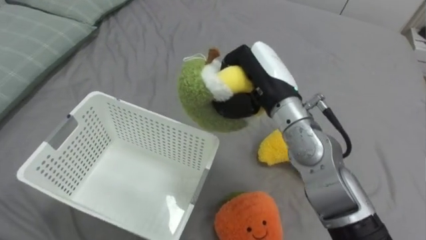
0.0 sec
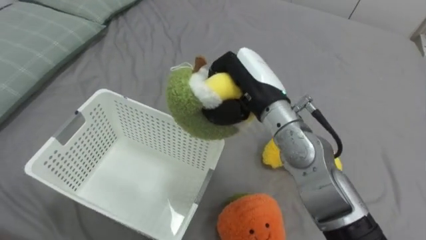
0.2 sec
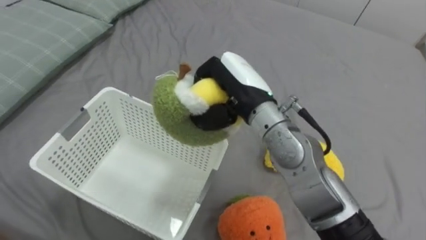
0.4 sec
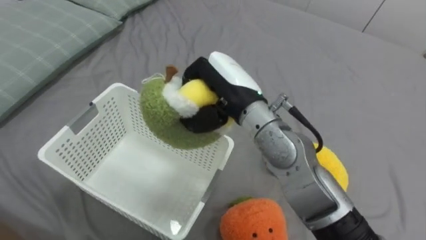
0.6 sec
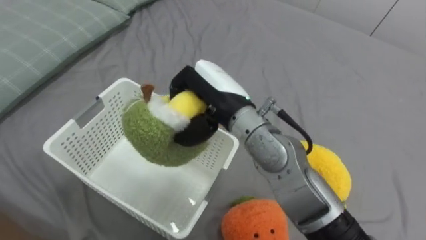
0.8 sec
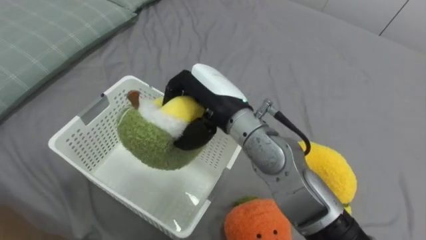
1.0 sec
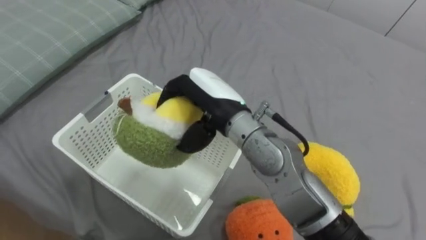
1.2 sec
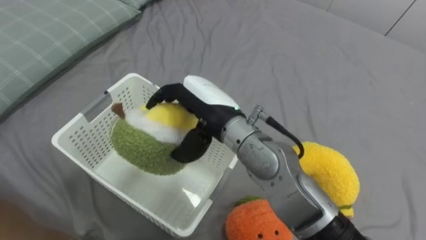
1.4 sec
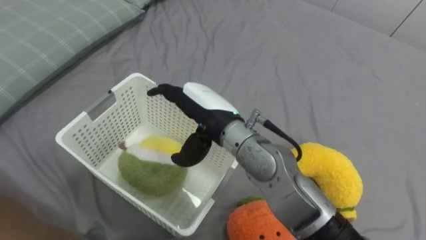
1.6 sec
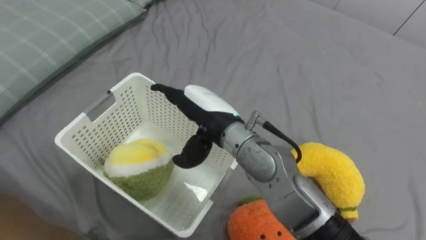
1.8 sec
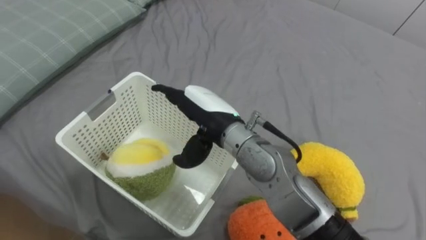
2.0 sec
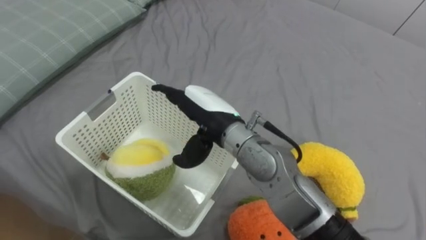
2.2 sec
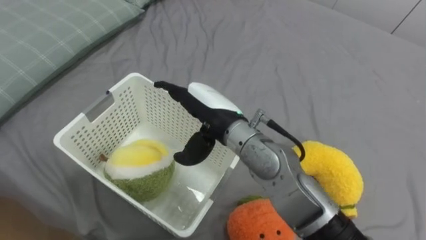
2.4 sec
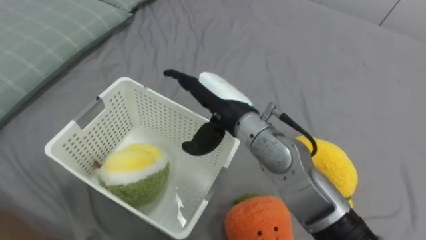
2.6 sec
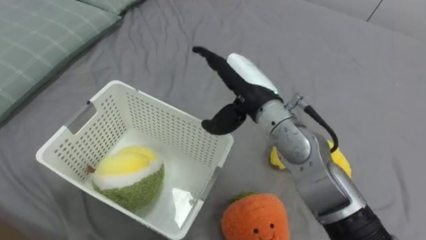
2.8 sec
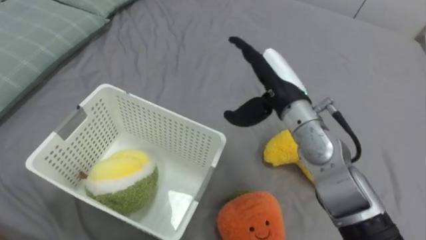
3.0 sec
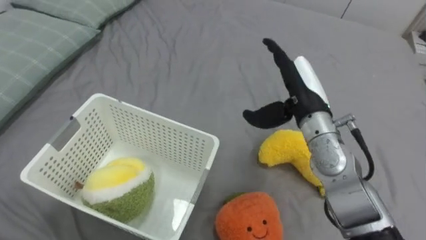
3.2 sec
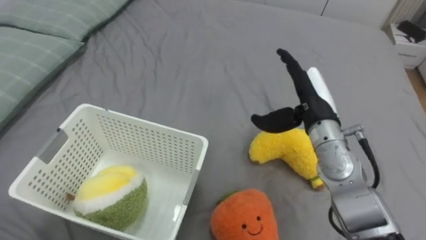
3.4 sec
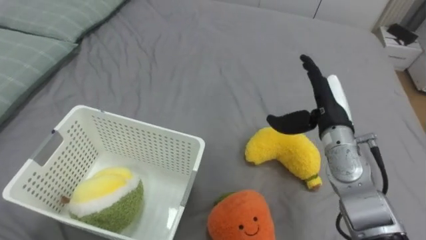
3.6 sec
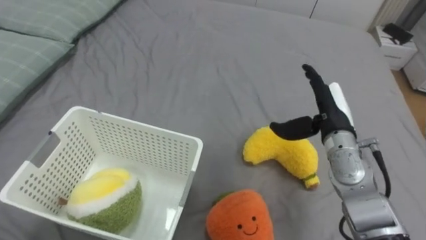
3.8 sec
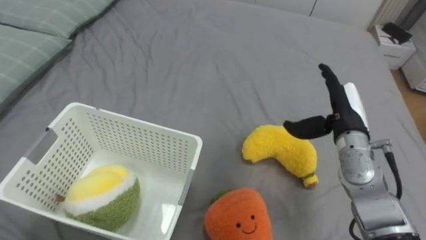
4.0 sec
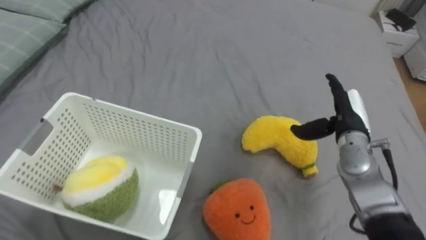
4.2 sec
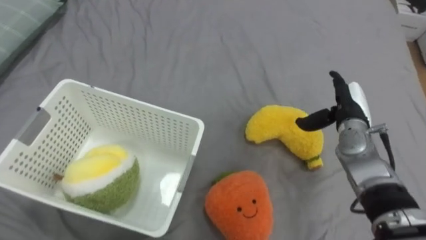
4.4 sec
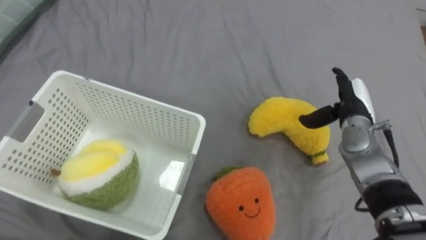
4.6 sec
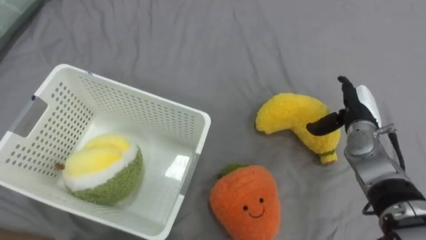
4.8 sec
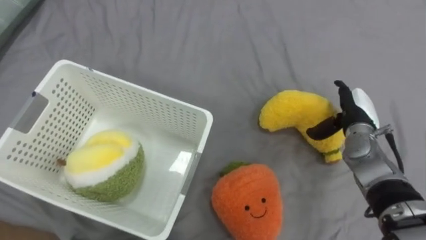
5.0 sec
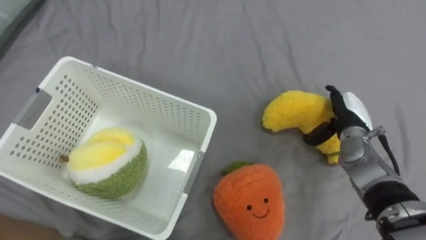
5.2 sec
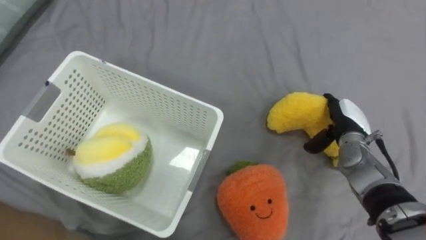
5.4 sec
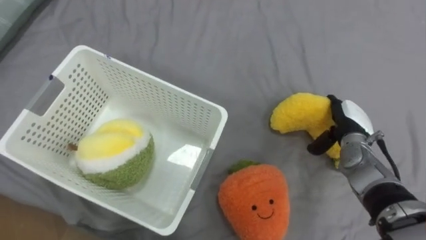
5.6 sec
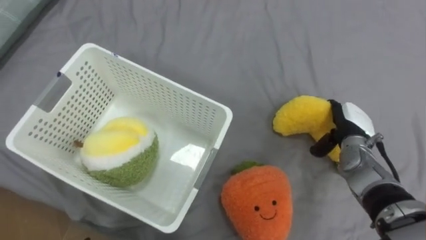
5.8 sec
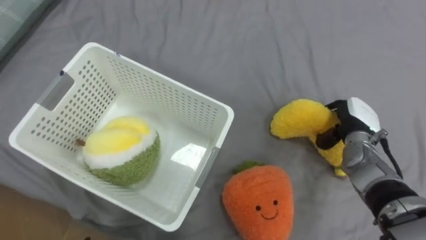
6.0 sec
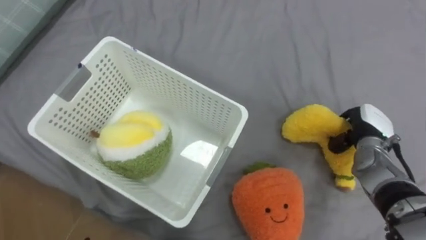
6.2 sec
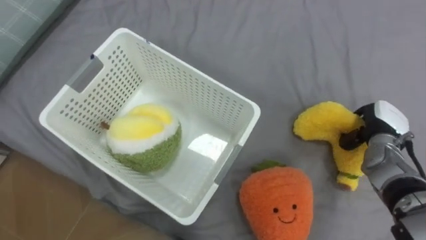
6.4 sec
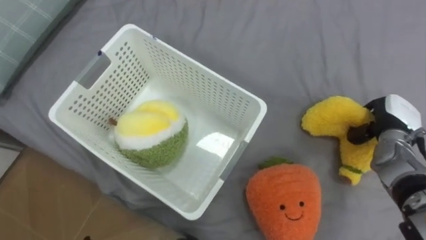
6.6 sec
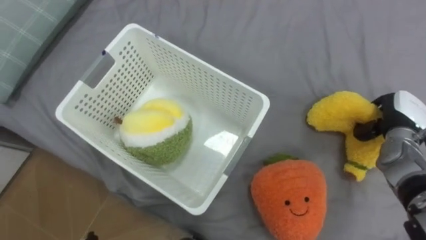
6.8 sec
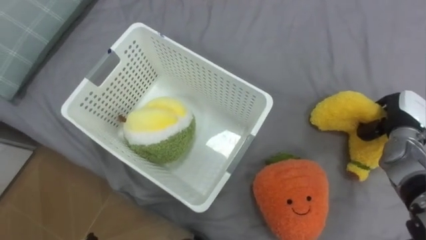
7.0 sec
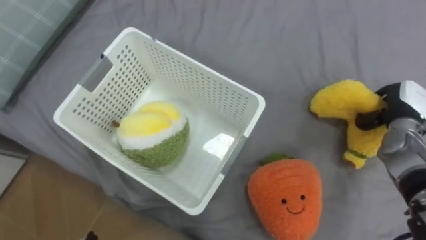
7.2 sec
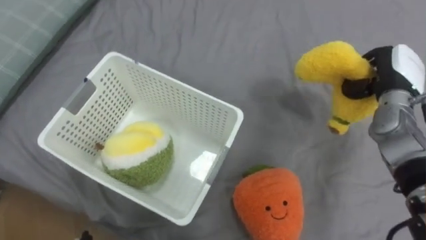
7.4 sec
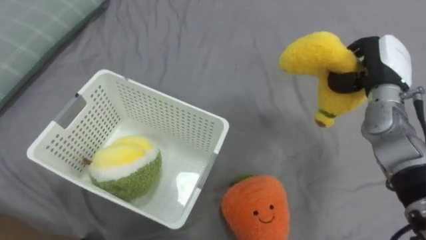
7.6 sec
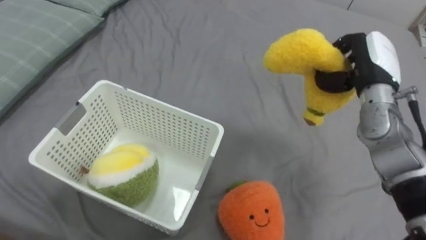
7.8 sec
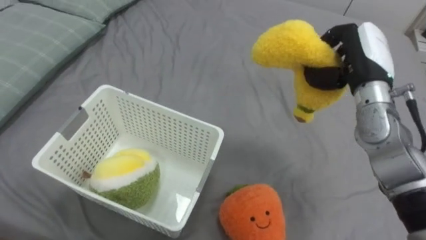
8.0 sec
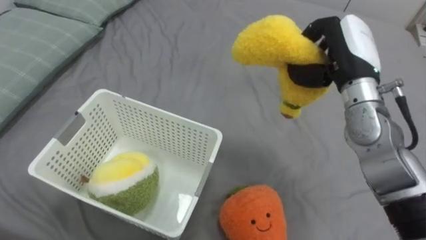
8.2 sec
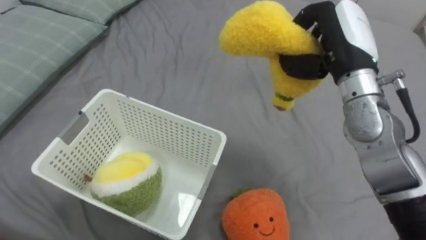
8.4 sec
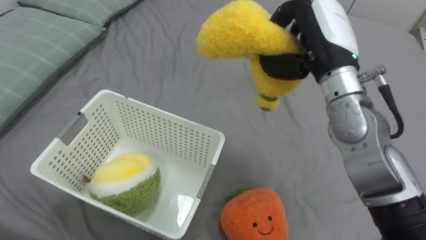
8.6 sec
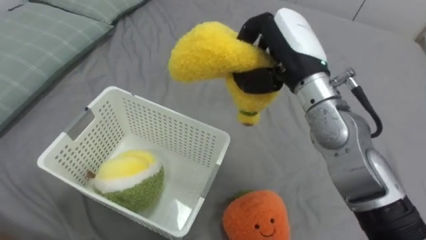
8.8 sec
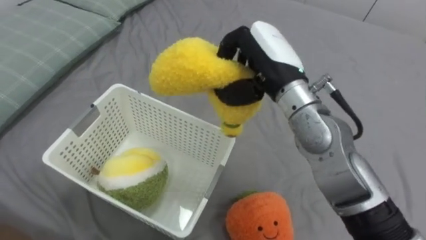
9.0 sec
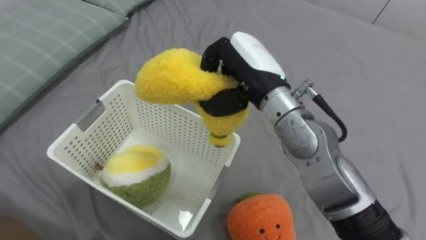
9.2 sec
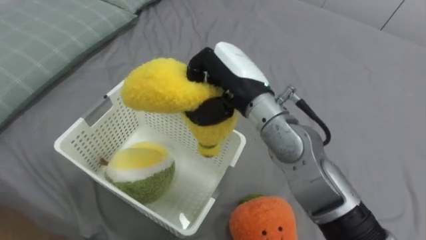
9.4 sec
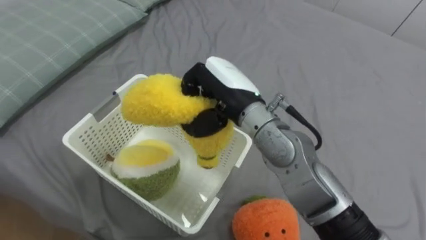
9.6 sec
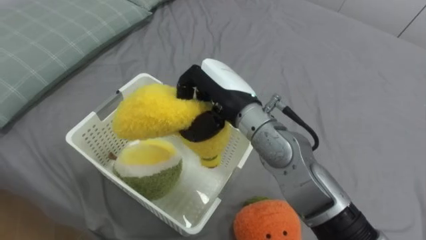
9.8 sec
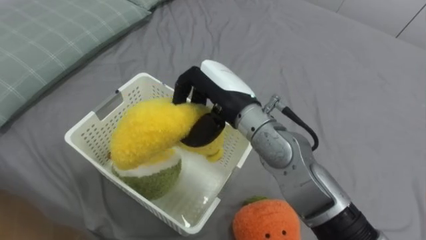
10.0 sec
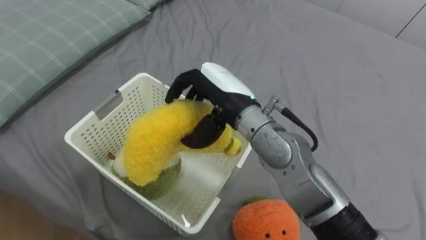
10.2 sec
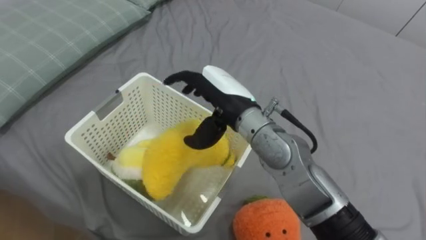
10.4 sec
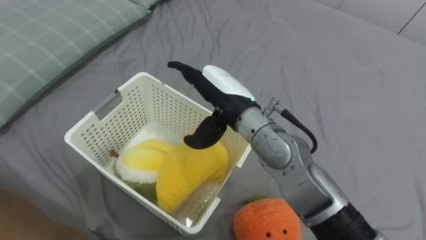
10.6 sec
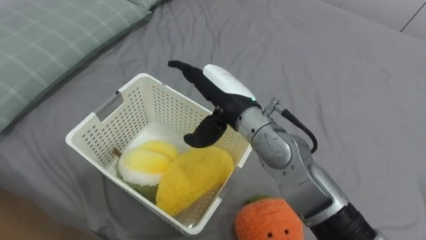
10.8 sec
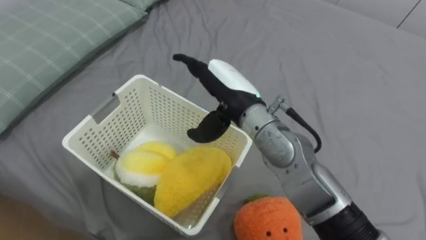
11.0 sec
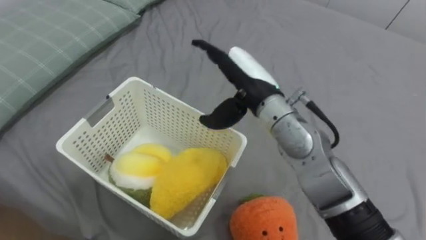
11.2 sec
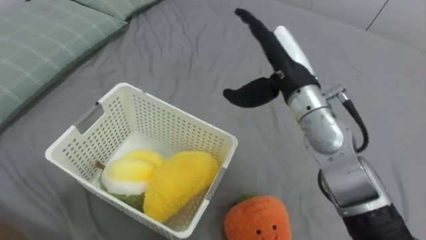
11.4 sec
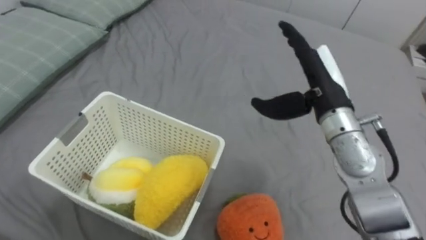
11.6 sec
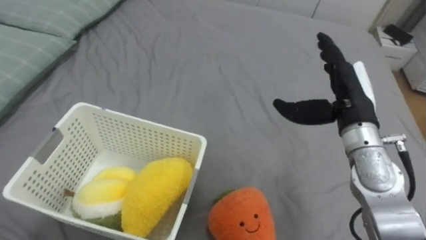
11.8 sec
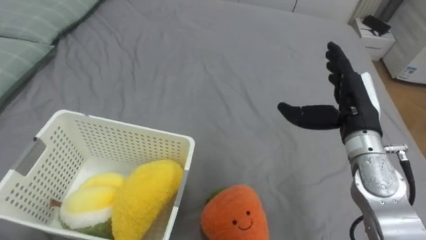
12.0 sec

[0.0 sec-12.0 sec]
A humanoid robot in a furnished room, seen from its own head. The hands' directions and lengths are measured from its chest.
Task of the whole recording: Put the toys on the bed into the basket on the left.
0.0 sec to 1.6 sec: The right hand travels to the left by approximately 10 cm, and opens its fingers.
1.6 sec to 3.0 sec: The right hand moves to the right, roughly 10 cm.
3.0 sec to 4.4 sec: The right hand is displaced to the right and downward by some 20 cm.
4.4 sec to 6.0 sec: The right hand closes its fingers.
6.0 sec to 7.6 sec: The right hand travels upward by about 10 cm, and closes up.
7.6 sec to 9.0 sec: The right hand moves to the left, approximately 20 cm.
9.0 sec to 10.4 sec: The right hand heads to the left and downward, covering some 10 cm, and opens up.
10.4 sec to 12.0 sec: The right hand goes some 20 cm to the right.

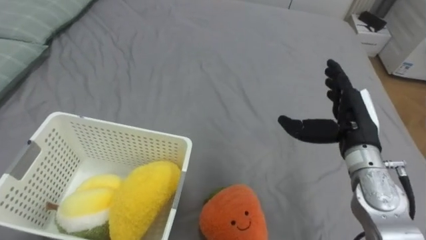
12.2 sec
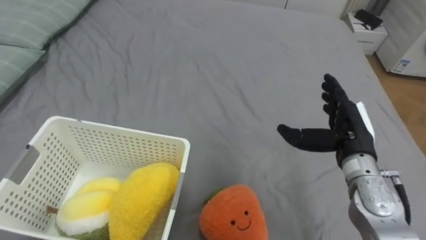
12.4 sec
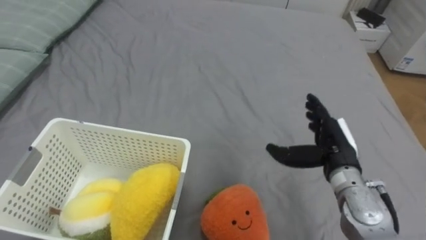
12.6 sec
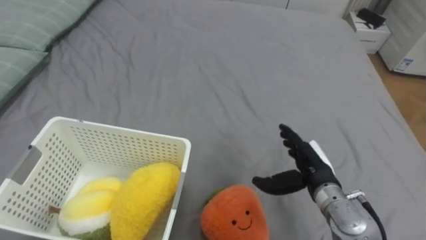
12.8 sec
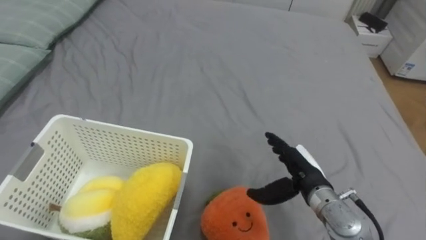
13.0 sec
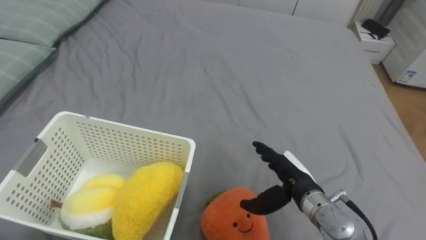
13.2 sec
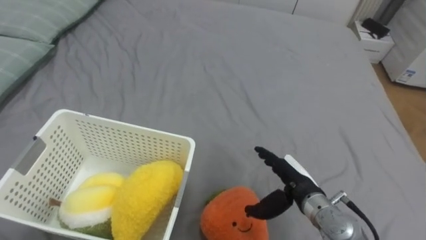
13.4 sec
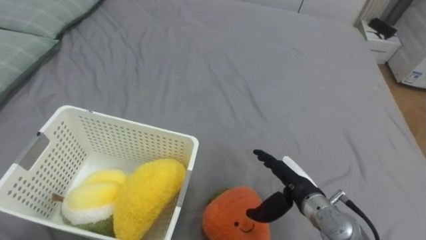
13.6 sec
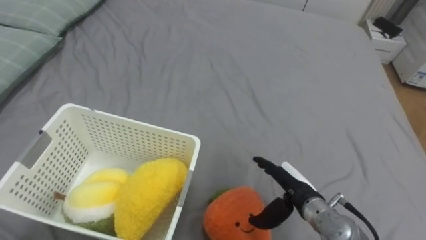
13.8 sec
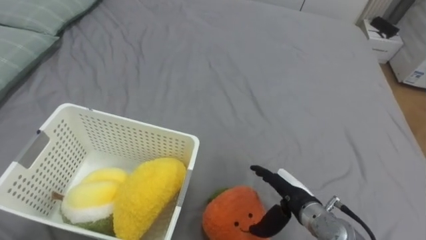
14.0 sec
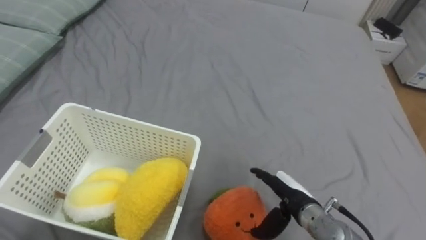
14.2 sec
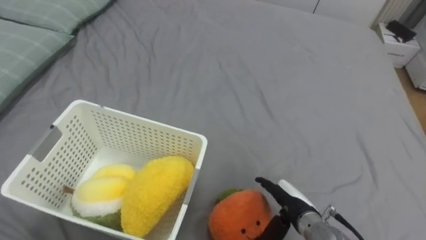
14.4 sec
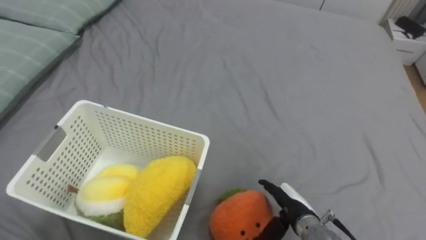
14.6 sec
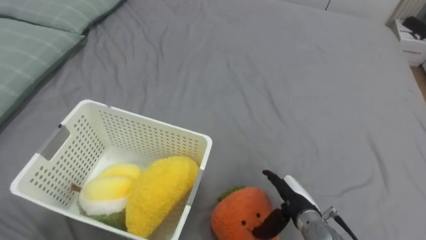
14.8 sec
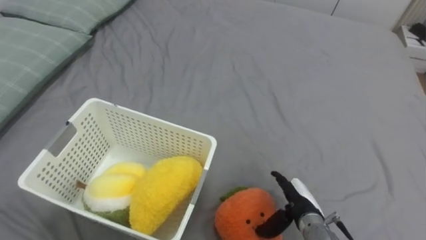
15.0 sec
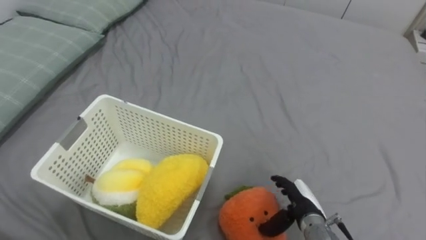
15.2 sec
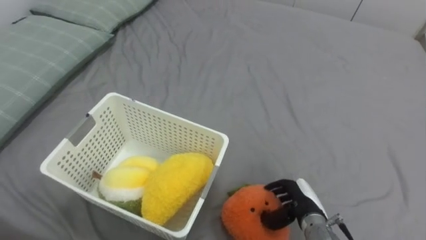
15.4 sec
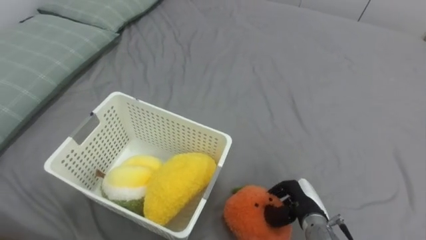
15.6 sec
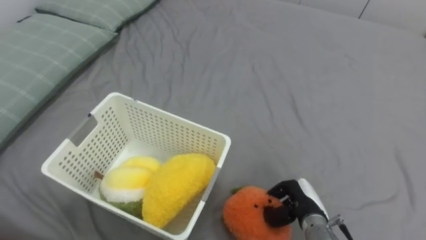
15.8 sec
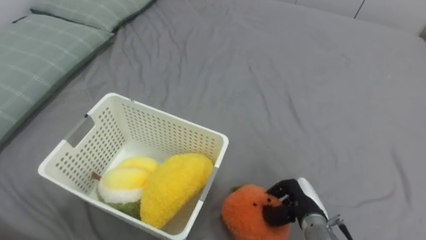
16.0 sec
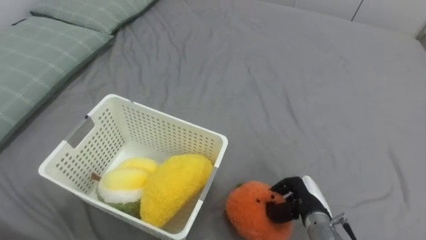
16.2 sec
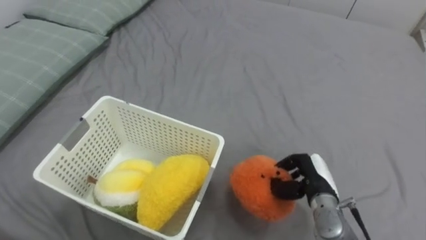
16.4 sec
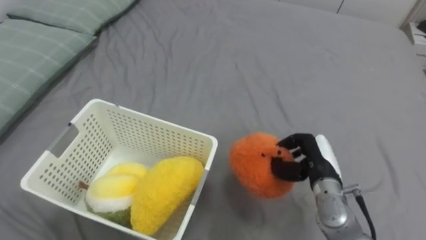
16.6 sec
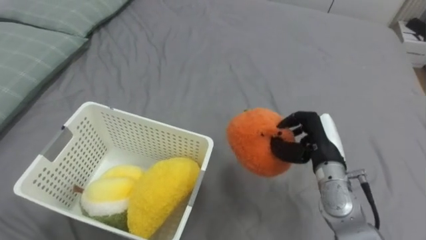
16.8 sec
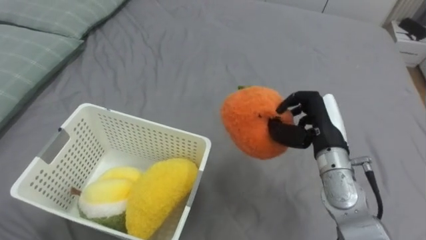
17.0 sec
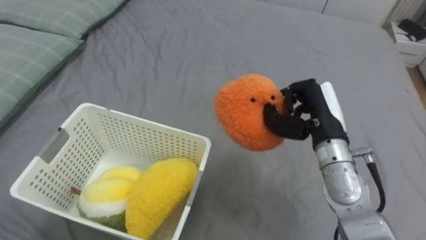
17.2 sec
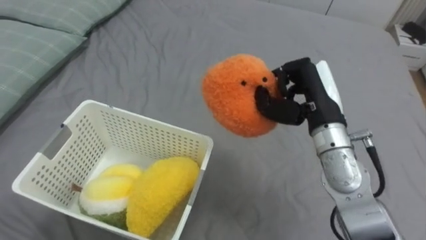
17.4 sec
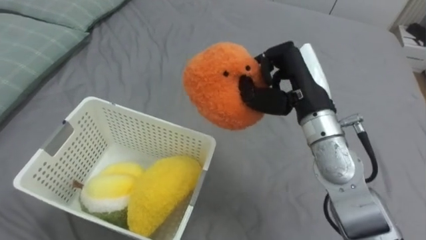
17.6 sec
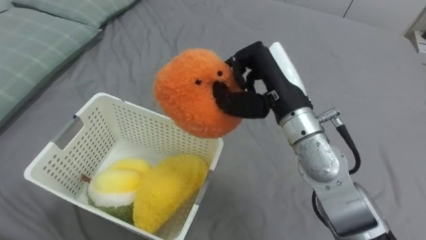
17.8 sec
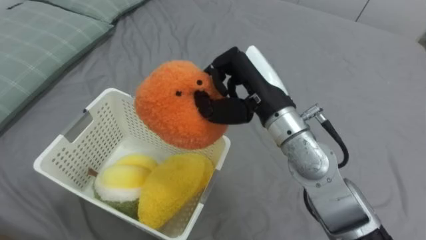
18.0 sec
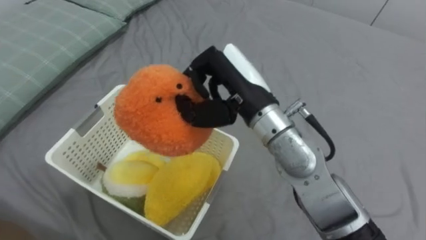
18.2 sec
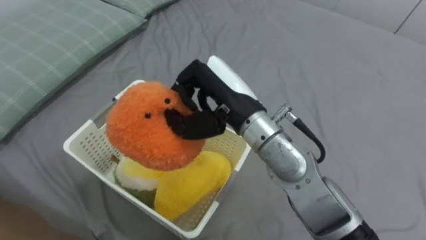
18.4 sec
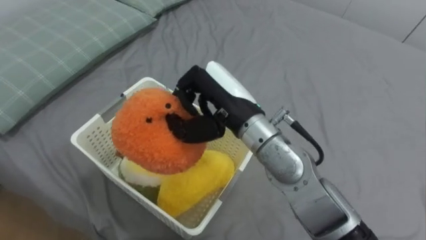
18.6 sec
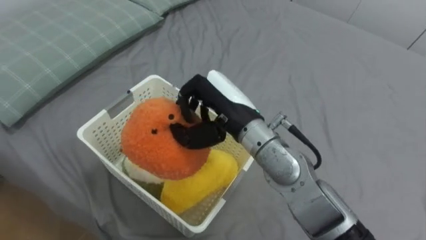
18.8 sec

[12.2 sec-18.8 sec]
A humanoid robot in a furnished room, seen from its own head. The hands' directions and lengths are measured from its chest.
Task of the whole recording: Put the toys on the bed into the basket on the left.
12.2 sec to 13.8 sec: The right hand travels downward and to the left by some 15 cm.
13.8 sec to 15.4 sec: The right hand moves downward, approximately 5 cm, and closes up.
15.4 sec to 17.2 sec: The right hand is displaced upward and forward by approximately 20 cm, and closes.
17.2 sec to 18.8 sec: The right hand shifts about 15 cm to the left.
